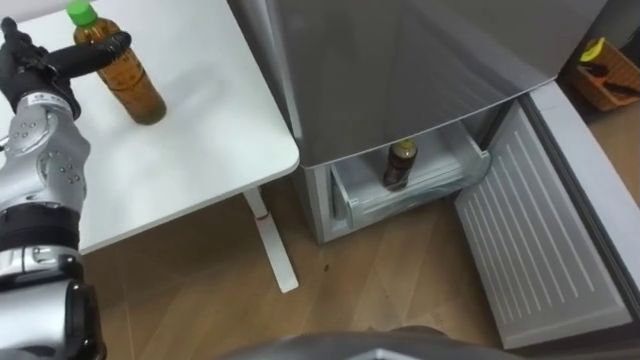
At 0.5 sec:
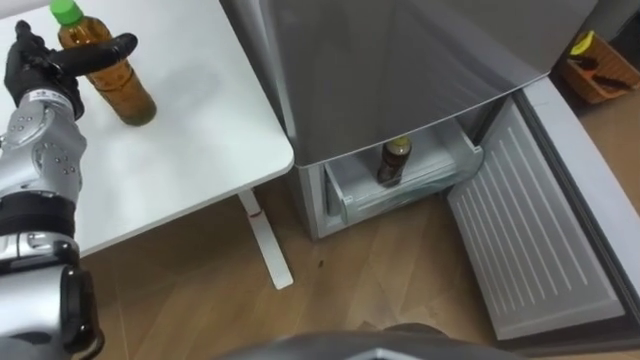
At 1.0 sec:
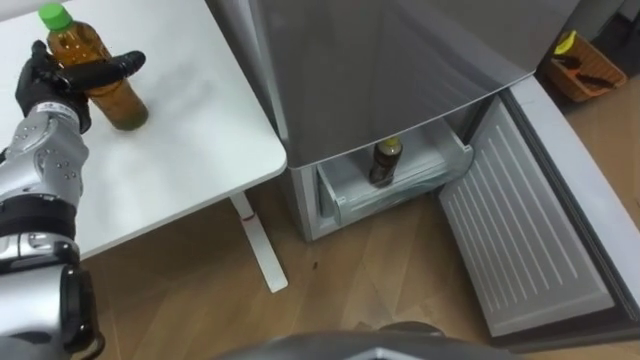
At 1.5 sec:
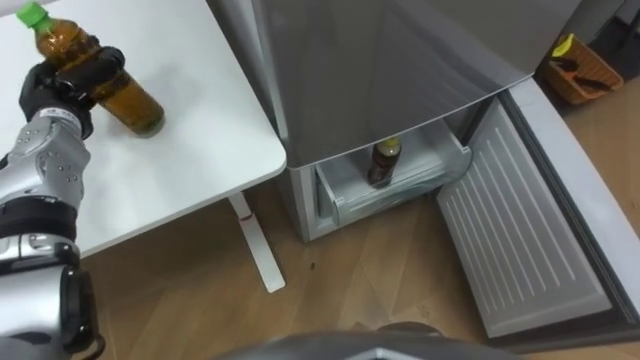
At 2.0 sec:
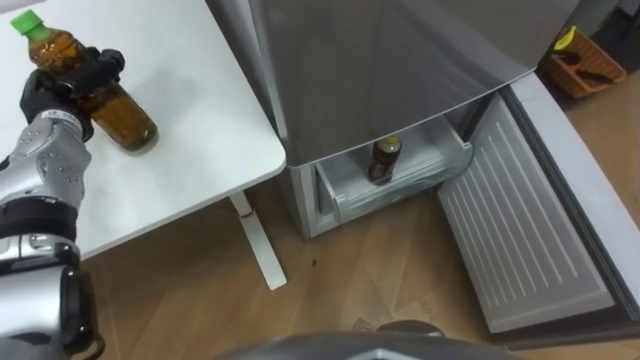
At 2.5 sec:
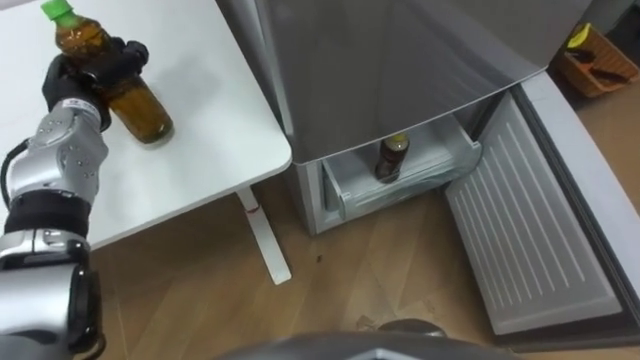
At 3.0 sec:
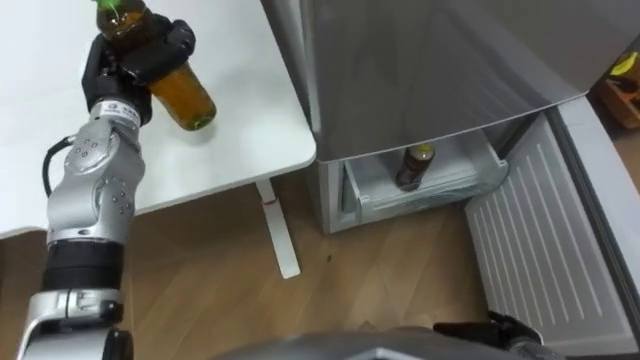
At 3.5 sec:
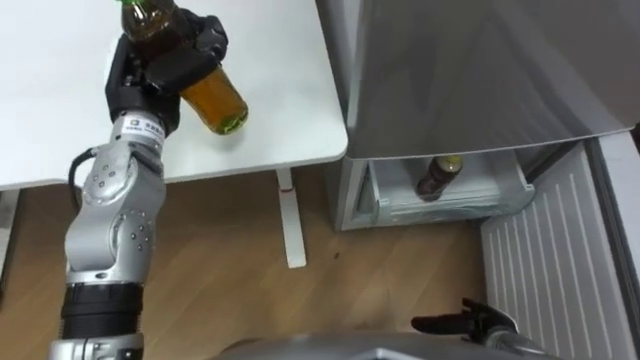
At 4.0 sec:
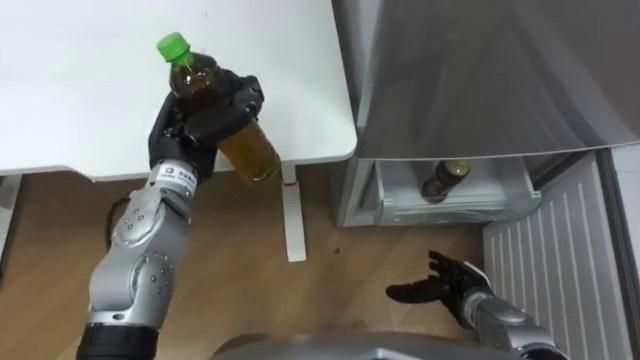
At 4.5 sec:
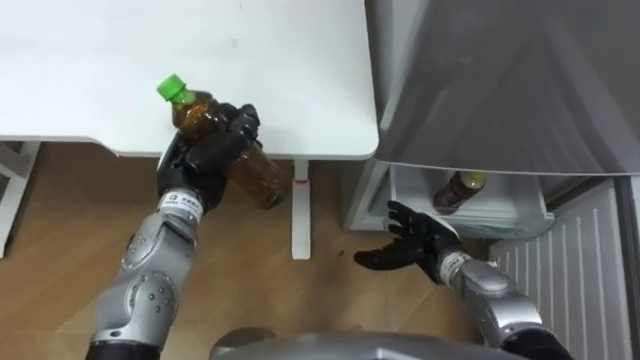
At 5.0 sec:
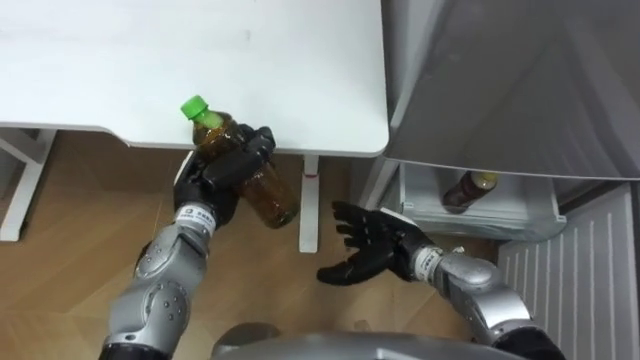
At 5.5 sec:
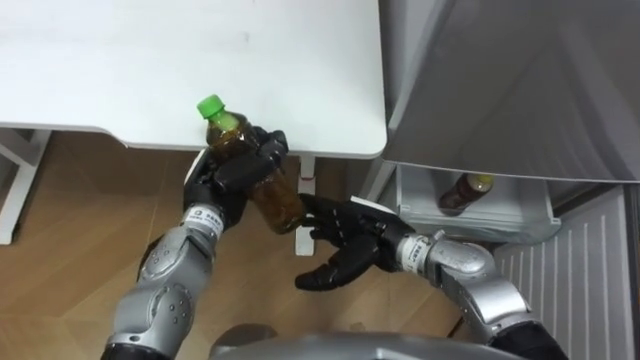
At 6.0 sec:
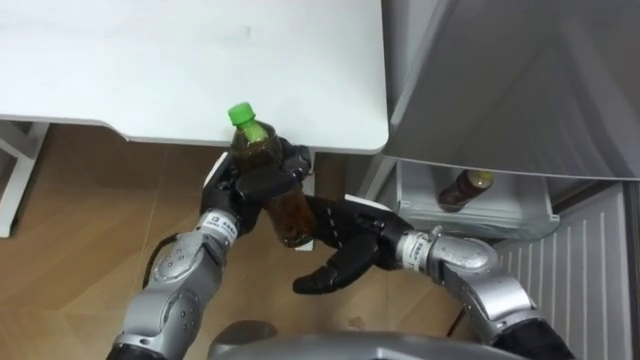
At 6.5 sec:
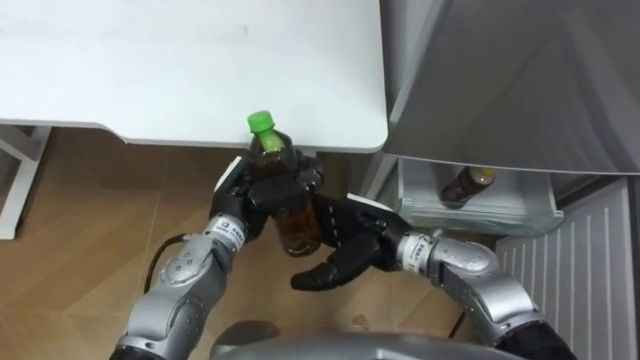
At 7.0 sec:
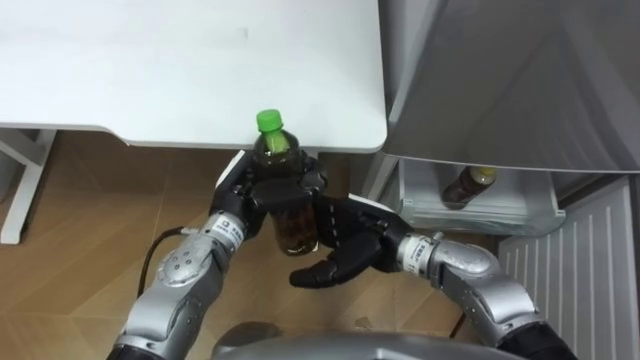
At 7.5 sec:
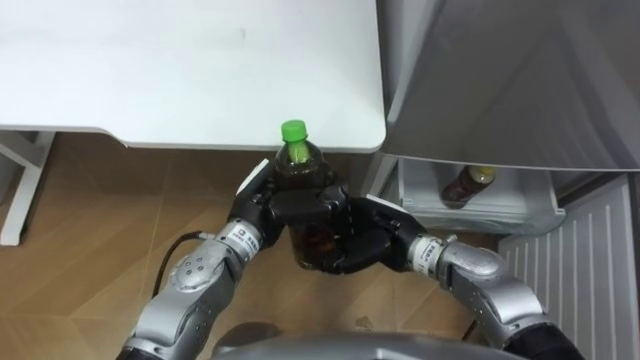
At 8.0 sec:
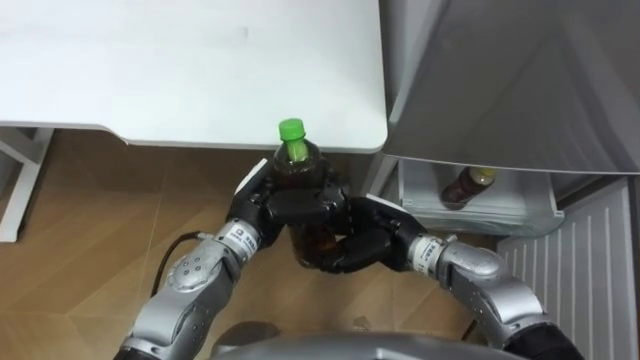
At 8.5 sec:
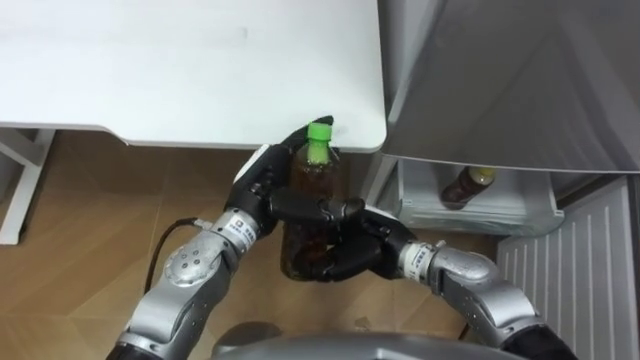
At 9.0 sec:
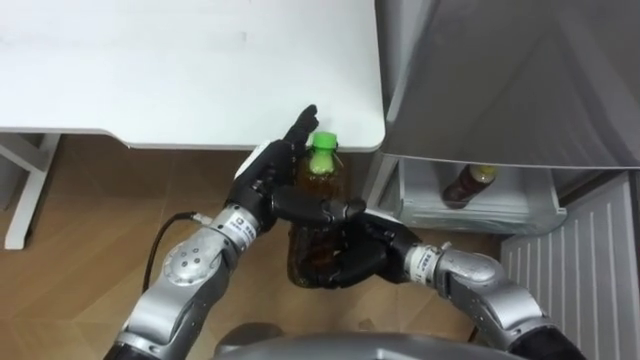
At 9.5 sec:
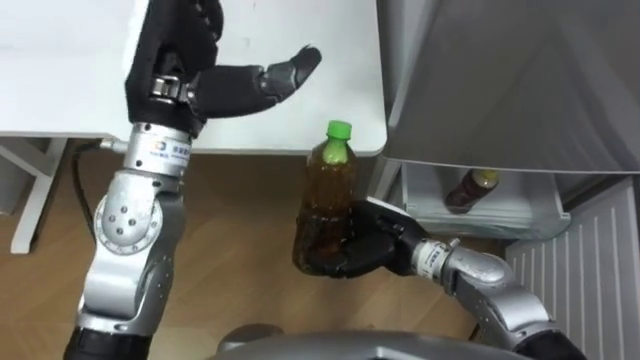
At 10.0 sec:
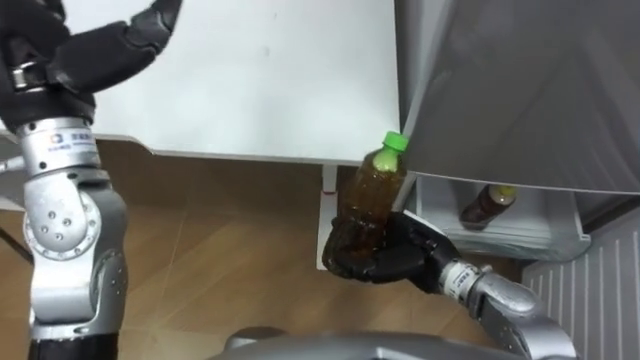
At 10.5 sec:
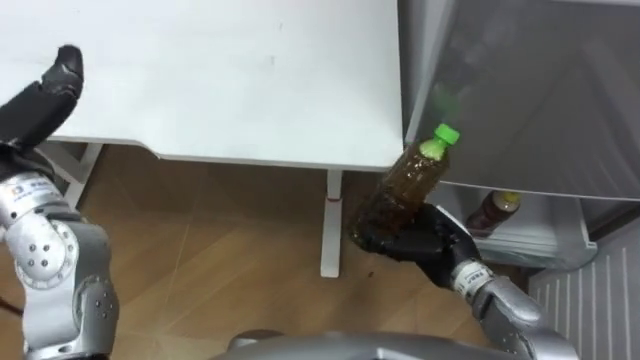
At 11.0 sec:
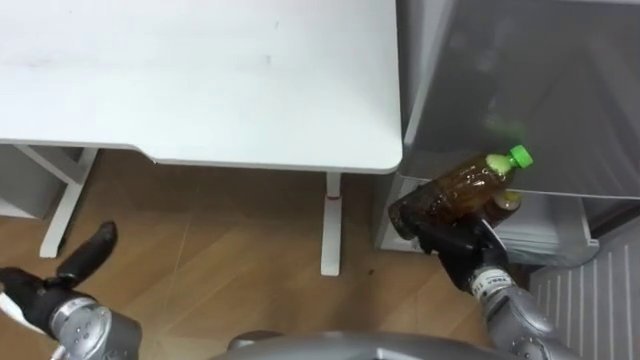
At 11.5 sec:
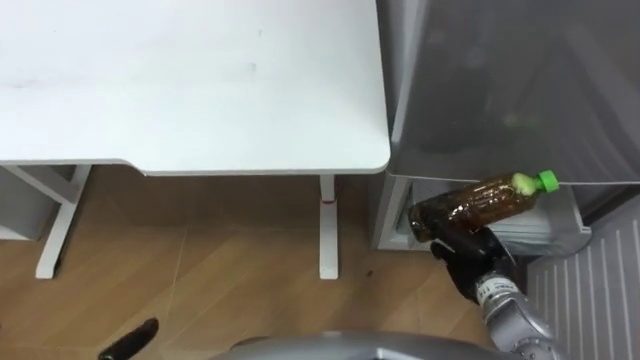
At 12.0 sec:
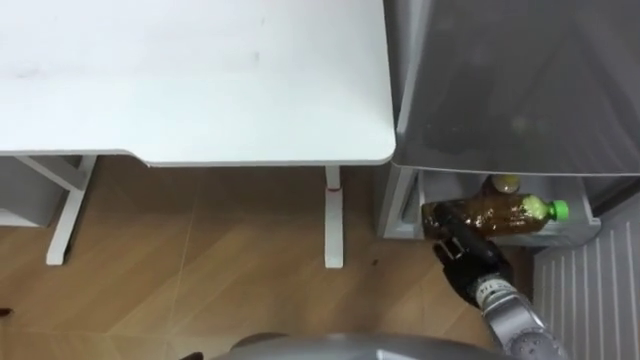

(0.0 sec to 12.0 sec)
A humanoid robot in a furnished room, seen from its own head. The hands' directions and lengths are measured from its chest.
Task of the whole recording: Place the drink on the table on the bottom shelf of the refrigerator, then close the drawer and the refrigerator door.
0.0 sec - 2.0 sec: The left hand closes its fingers.
2.0 sec - 4.0 sec: The left hand travels to the right by about 15 cm.
4.0 sec - 6.0 sec: The left hand is displaced downward and to the right by about 10 cm. The right hand moves to the left and upward, roughly 20 cm.
6.0 sec - 8.0 sec: The right hand closes.
8.0 sec - 10.0 sec: The left hand moves upward and to the left, some 25 cm, and opens up. Meanwhile the right hand is displaced to the right by roughly 5 cm.
10.0 sec - 12.0 sec: The right hand is displaced to the right and downward by roughly 10 cm.

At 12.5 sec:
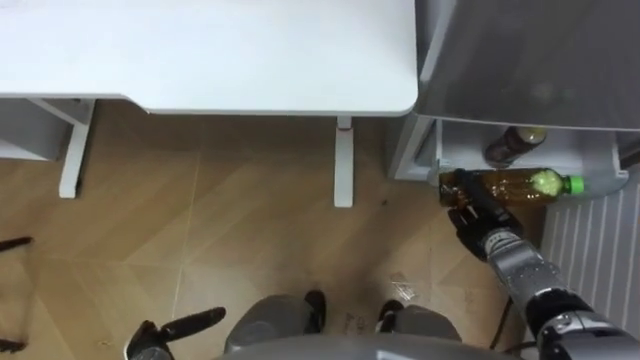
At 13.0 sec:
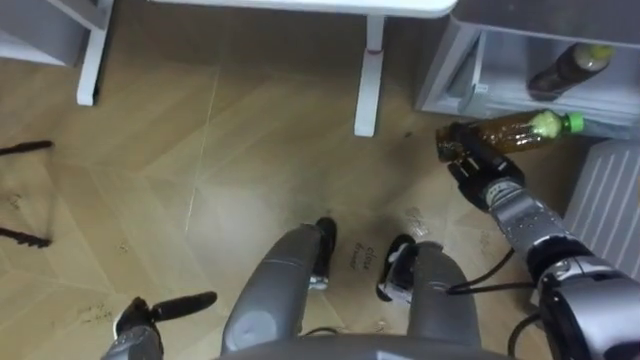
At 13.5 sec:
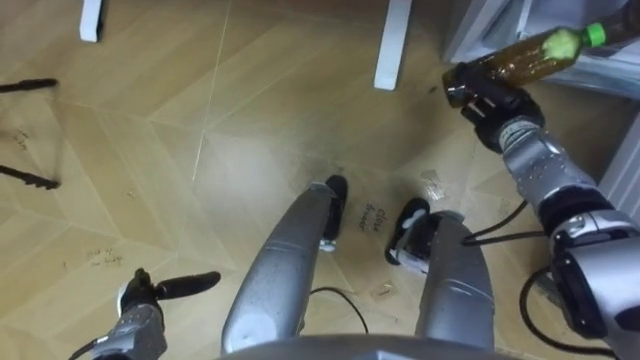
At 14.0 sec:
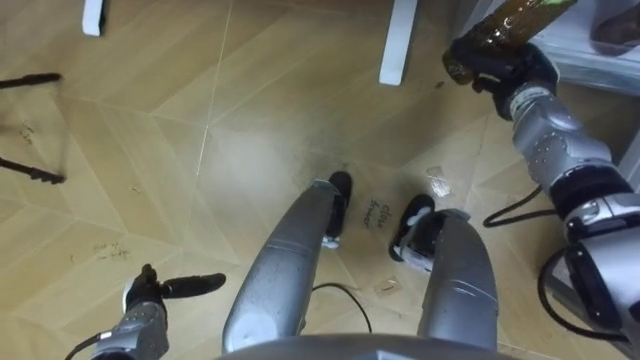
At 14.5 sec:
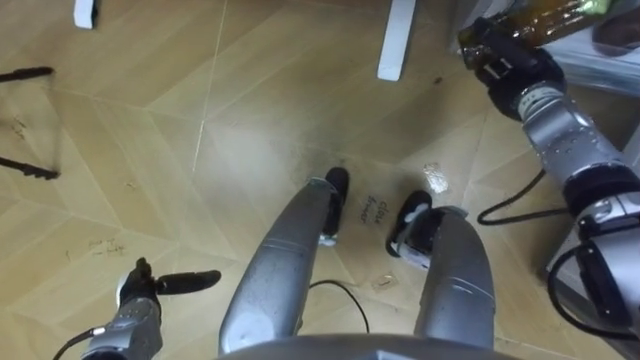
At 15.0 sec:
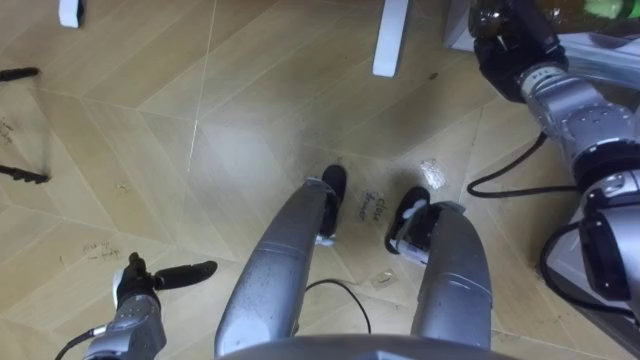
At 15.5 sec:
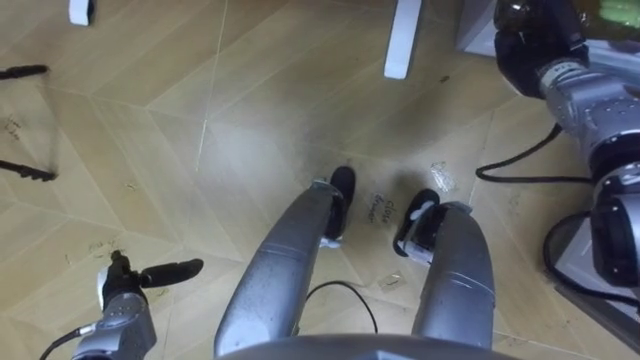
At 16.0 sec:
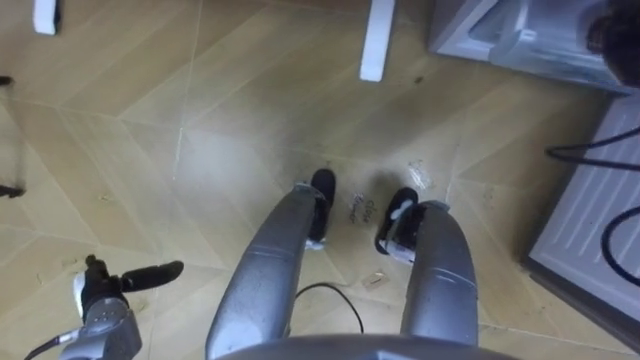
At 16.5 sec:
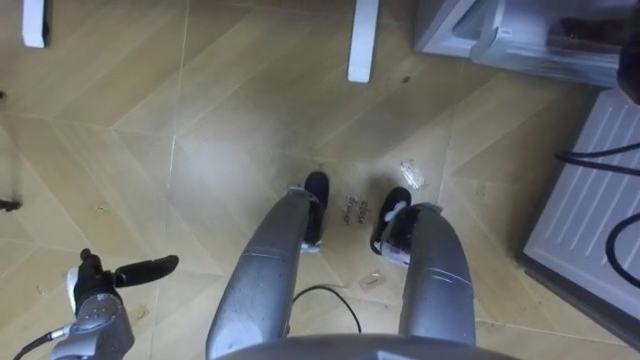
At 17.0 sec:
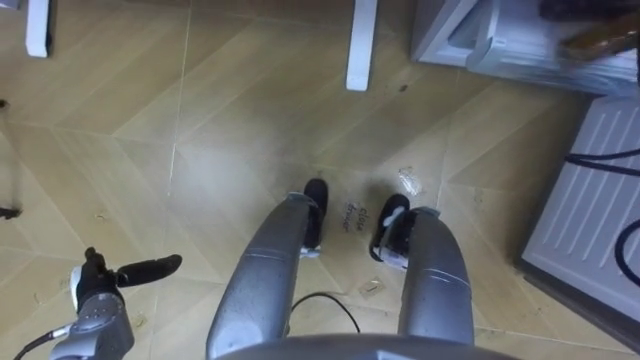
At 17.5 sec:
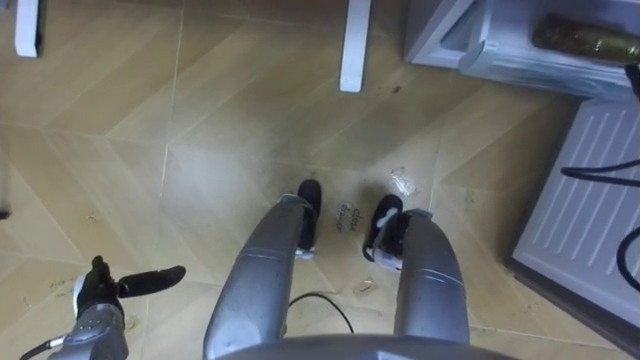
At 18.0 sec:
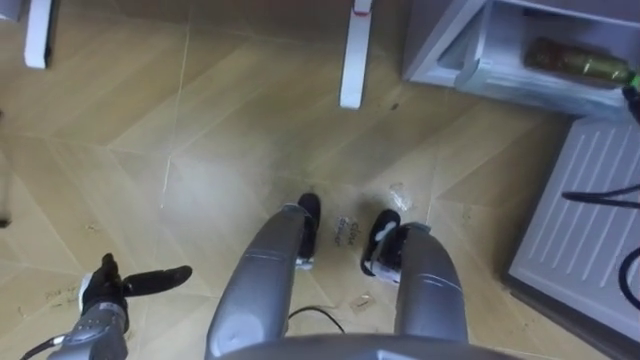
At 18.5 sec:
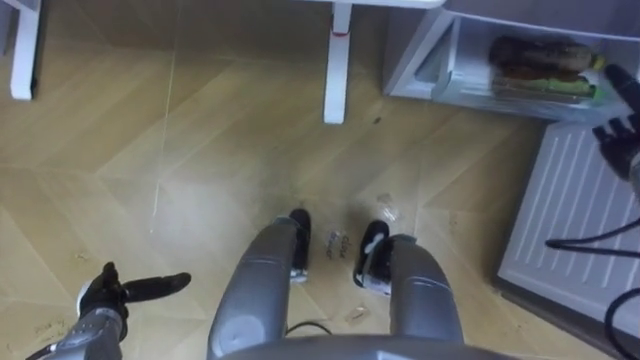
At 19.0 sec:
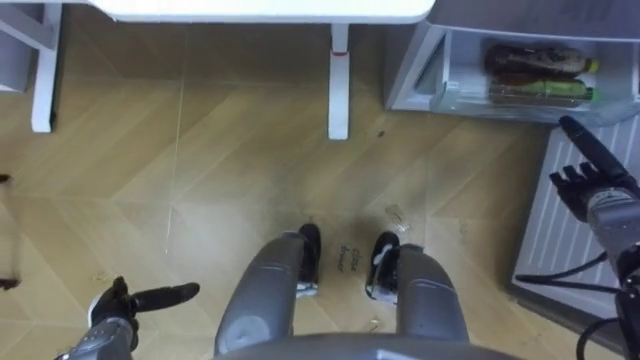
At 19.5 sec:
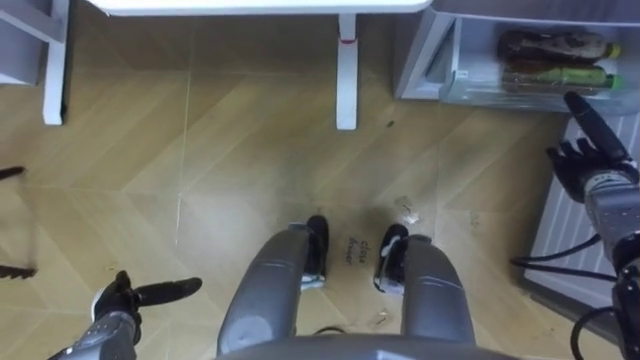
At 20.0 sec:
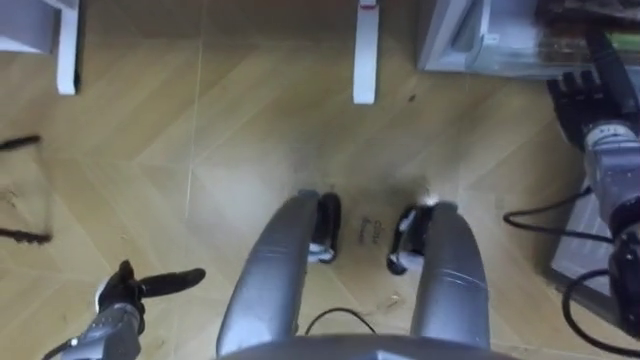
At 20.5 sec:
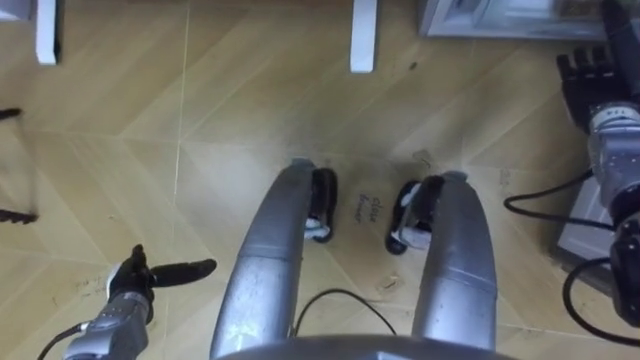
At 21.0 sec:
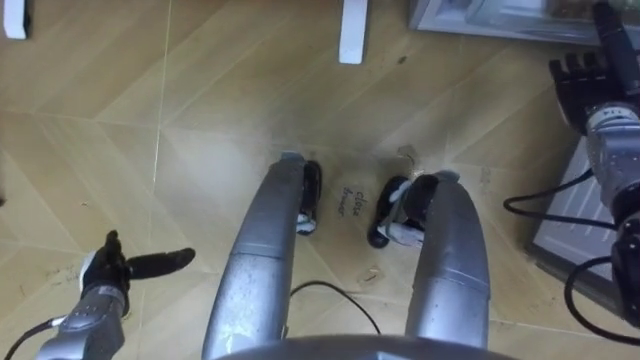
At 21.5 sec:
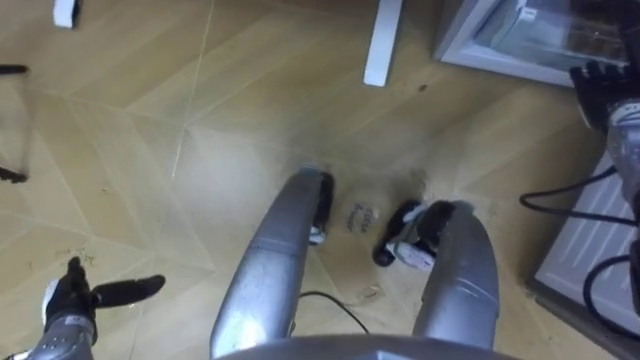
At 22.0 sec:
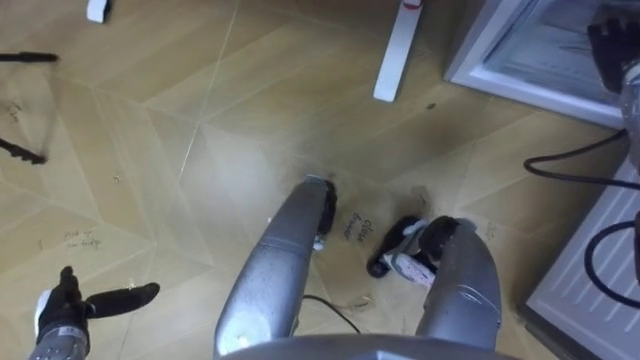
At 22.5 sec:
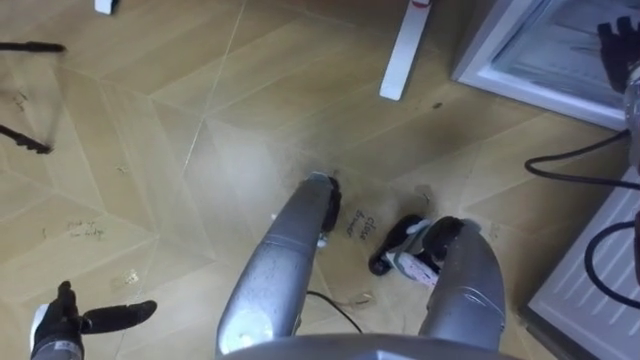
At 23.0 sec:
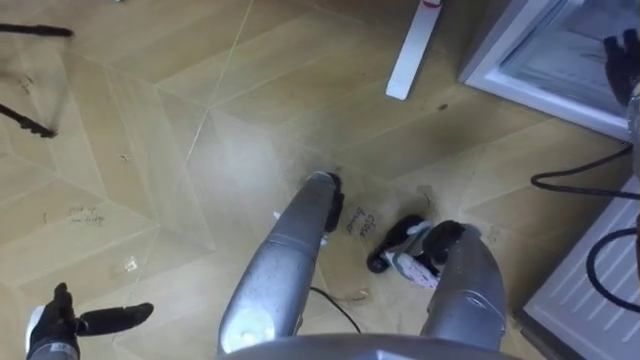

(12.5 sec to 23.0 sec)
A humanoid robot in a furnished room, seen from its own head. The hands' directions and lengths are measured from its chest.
Task of the whole recording: Place the drink on the table on the bottom shelf of the refrigerator, then close the drawer and the refrigerator door.
12.5 sec - 14.5 sec: The left hand shifts approximately 10 cm forward. The right hand travels forward and upward by some 25 cm.
14.5 sec - 16.5 sec: The left hand is displaced to the left by about 5 cm.
19.0 sec - 21.0 sec: The right hand travels forward and upward by roughly 15 cm; the left hand shifts roughly 5 cm forward.
21.0 sec - 23.0 sec: The left hand heads backward and to the left, covering approximately 10 cm.
